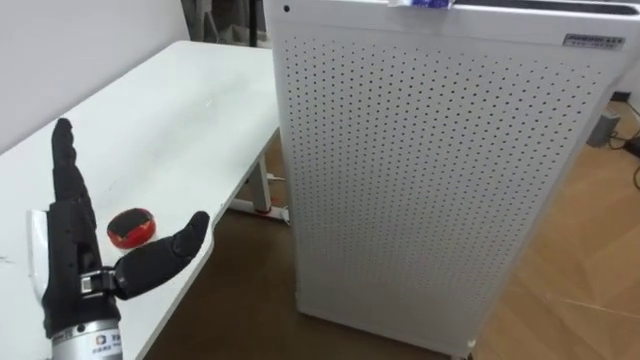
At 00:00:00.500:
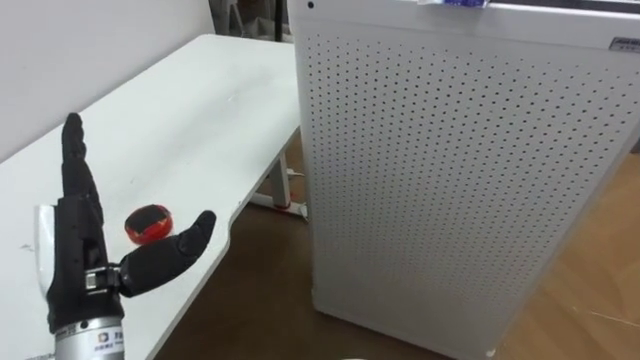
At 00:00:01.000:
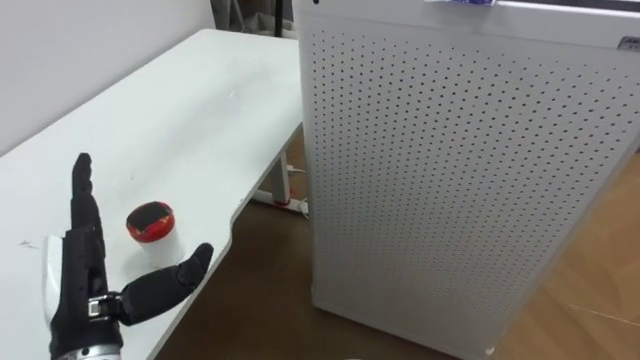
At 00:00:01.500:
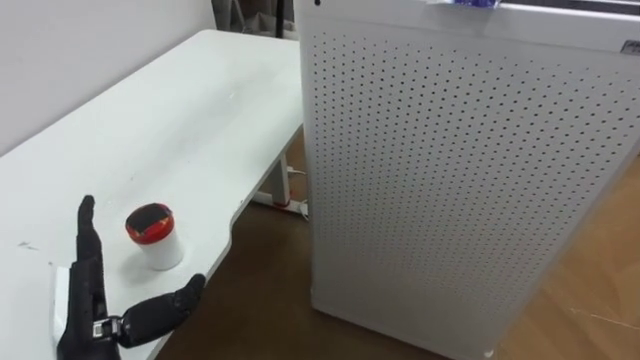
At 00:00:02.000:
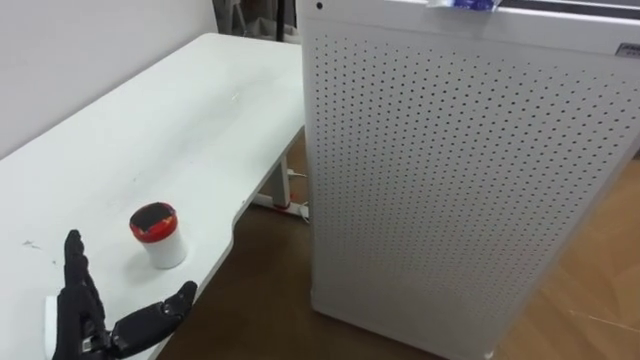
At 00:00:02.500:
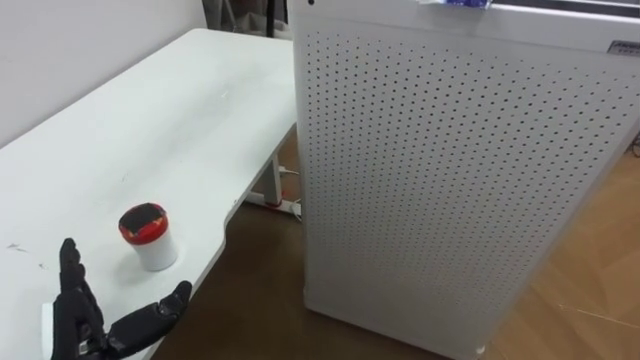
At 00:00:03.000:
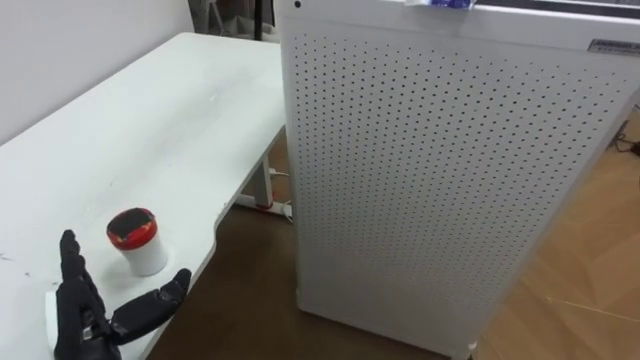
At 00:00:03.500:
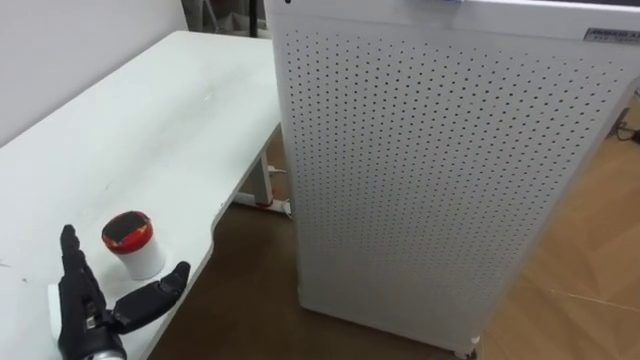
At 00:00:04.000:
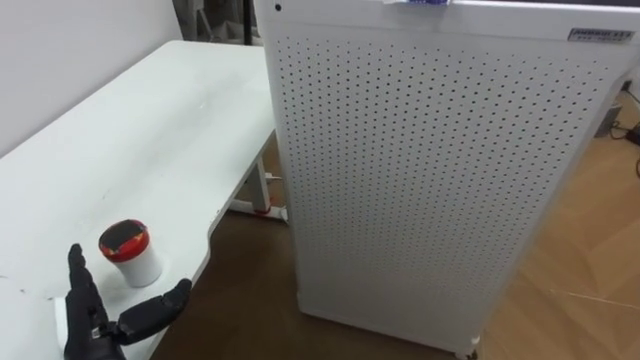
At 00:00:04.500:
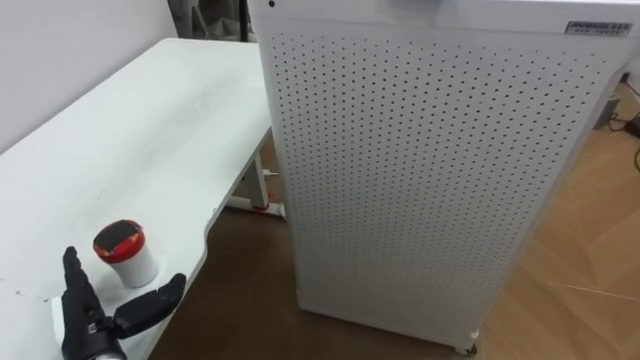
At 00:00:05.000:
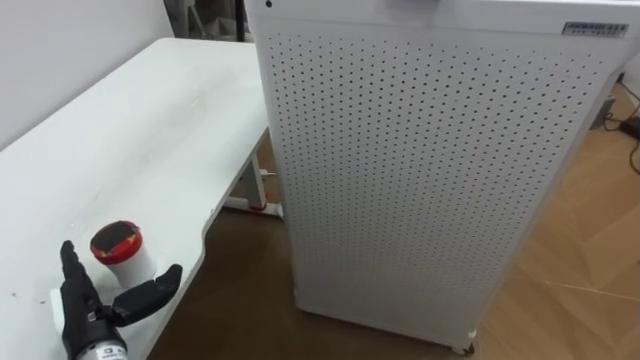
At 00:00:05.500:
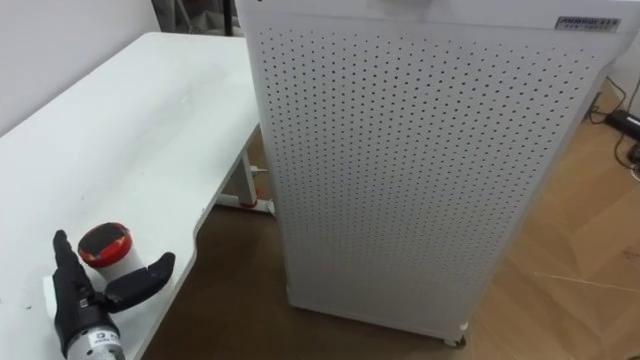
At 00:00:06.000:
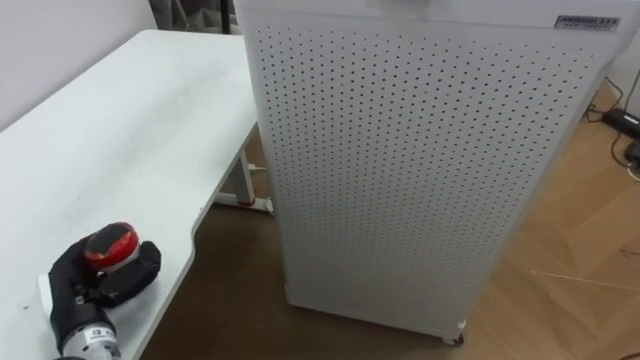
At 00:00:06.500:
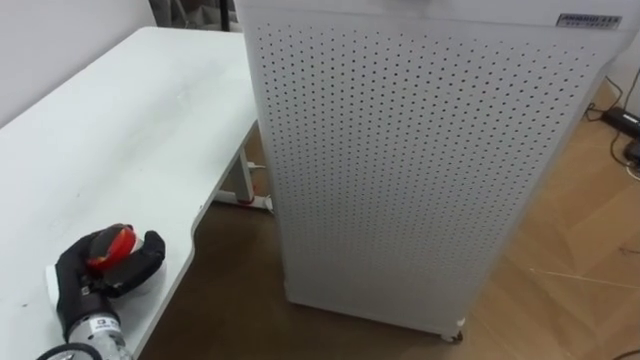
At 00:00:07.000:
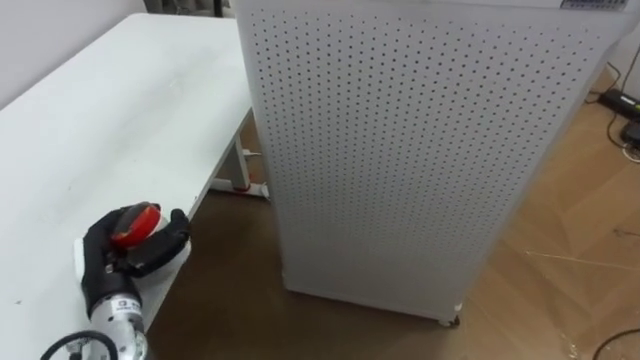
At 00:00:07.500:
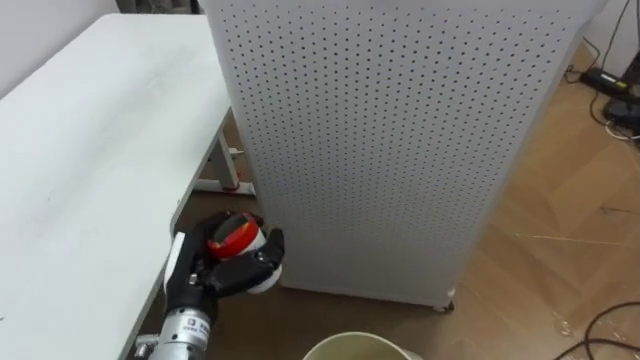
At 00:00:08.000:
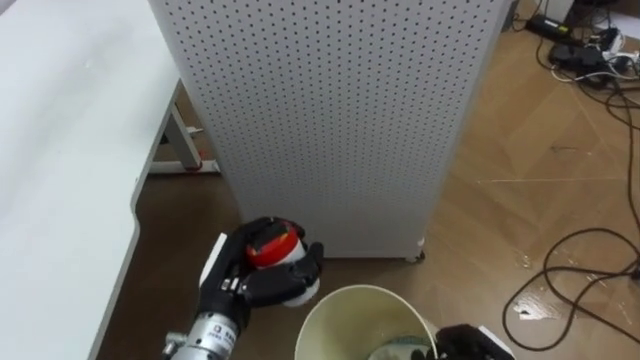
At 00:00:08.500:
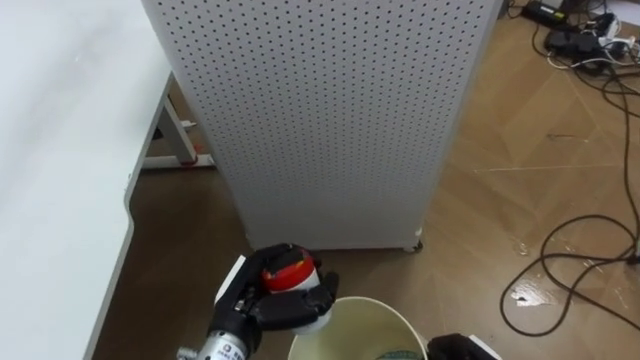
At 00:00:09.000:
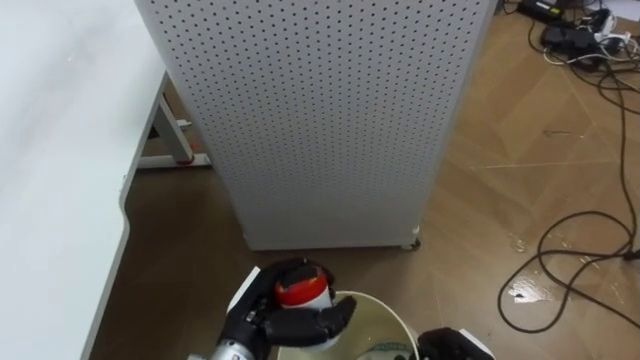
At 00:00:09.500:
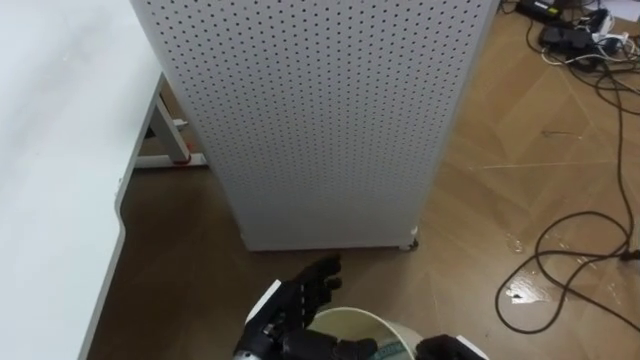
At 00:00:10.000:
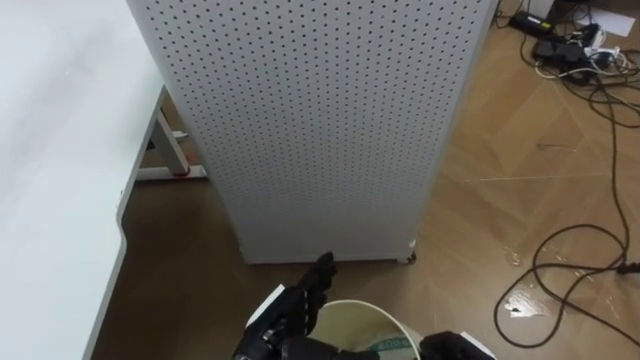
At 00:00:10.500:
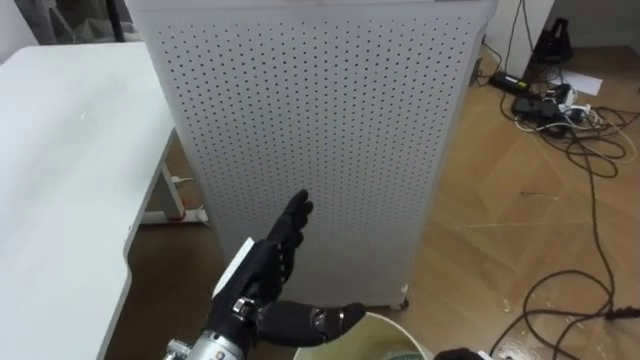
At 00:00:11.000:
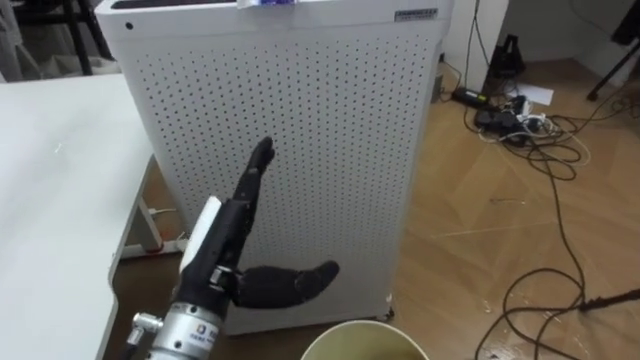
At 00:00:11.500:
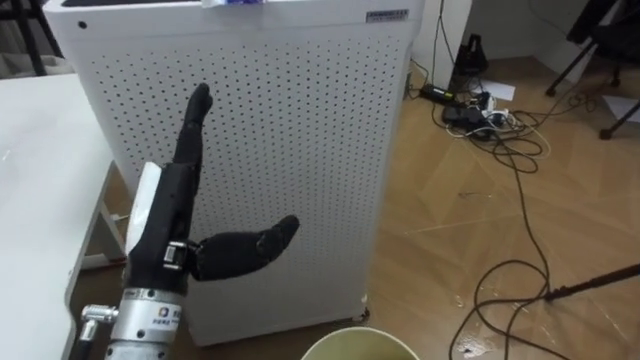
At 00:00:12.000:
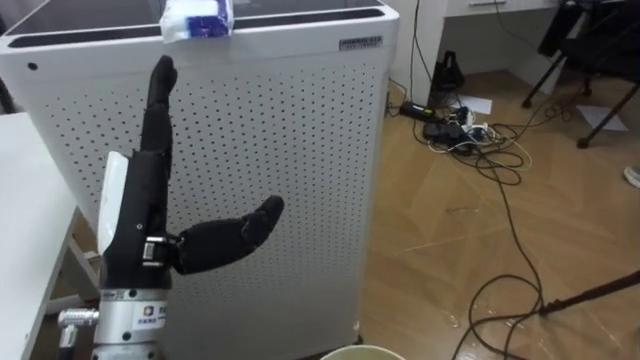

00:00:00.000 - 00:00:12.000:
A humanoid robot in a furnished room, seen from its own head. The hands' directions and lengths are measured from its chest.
Task of the whole recording: Pick up the light blue package, the candy box, and the dark blue package separately, and put them into the trash can held in your right hand.
00:00:00.000 - 00:00:02.000: The left hand travels downward by some 10 cm.
00:00:04.000 - 00:00:06.000: The left hand closes up.
00:00:06.000 - 00:00:08.000: The left hand goes some 20 cm to the right.
00:00:08.000 - 00:00:10.000: The left hand heads to the right and downward, covering some 10 cm, and opens up.
00:00:10.000 - 00:00:12.000: The robot rotates roughly 20 degrees to its right. The left hand goes approximately 25 cm upward and to the left.

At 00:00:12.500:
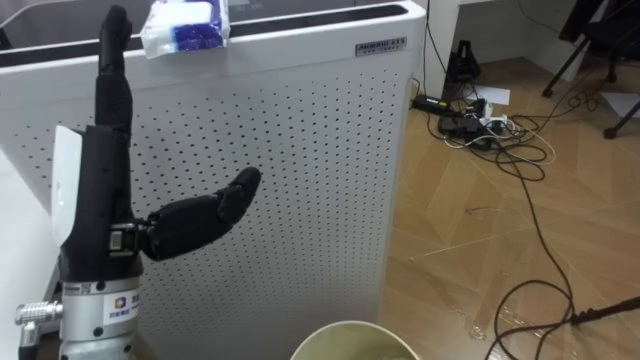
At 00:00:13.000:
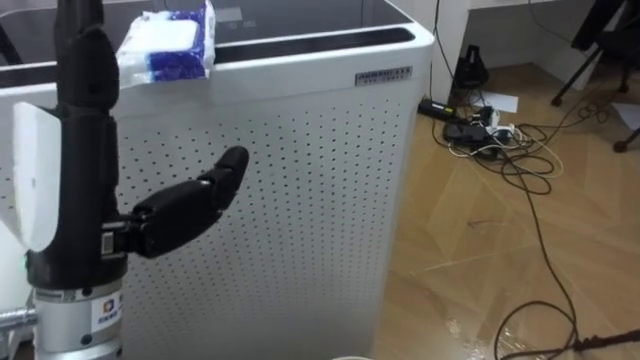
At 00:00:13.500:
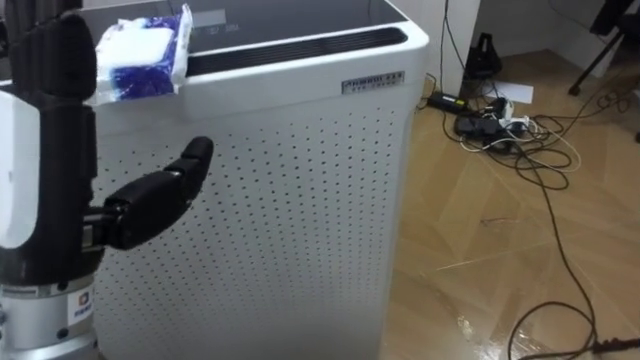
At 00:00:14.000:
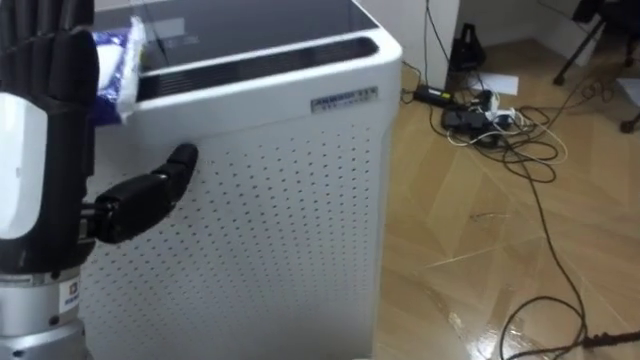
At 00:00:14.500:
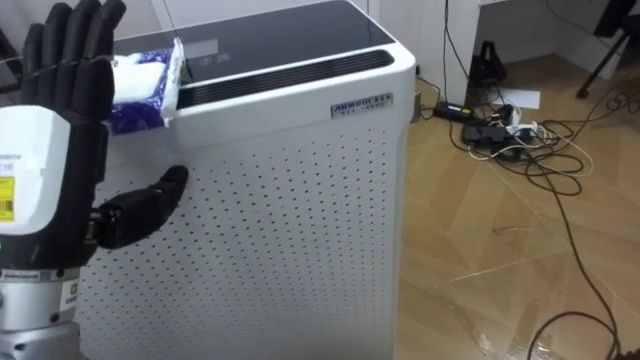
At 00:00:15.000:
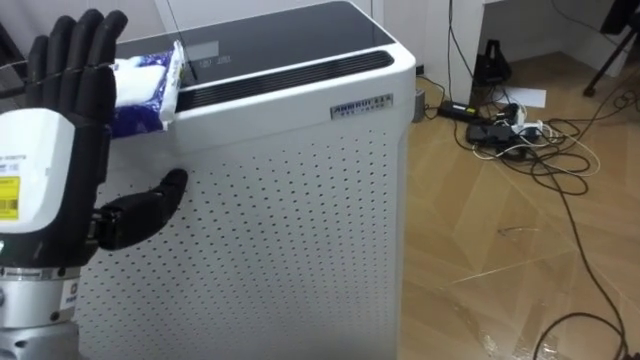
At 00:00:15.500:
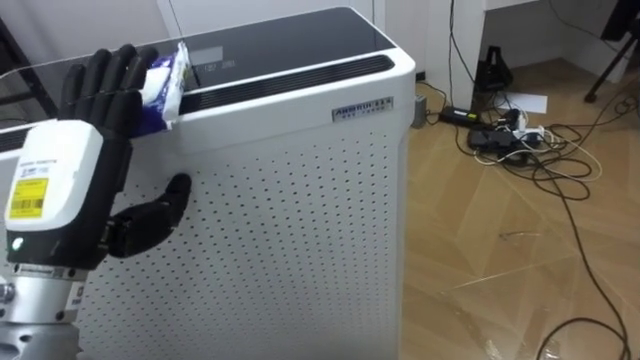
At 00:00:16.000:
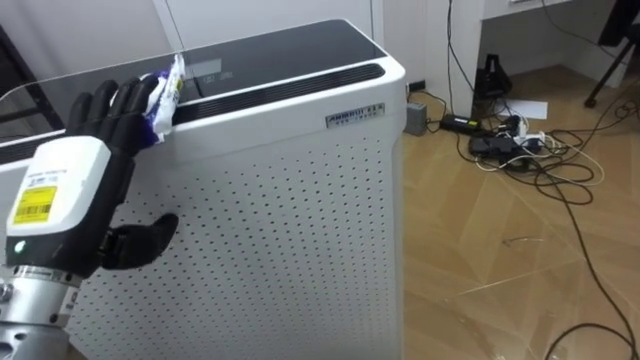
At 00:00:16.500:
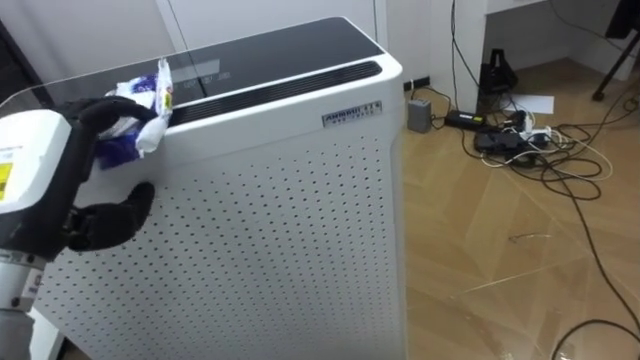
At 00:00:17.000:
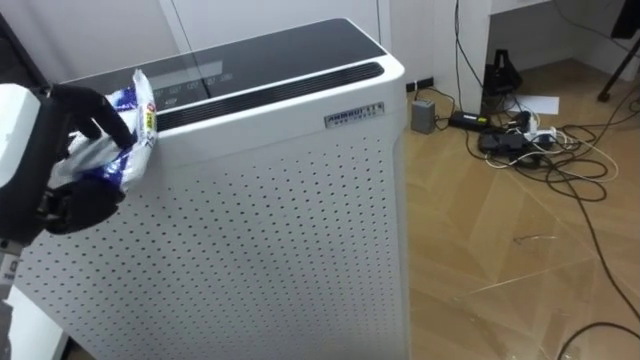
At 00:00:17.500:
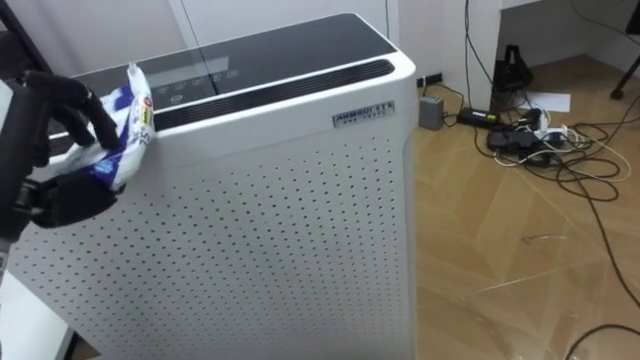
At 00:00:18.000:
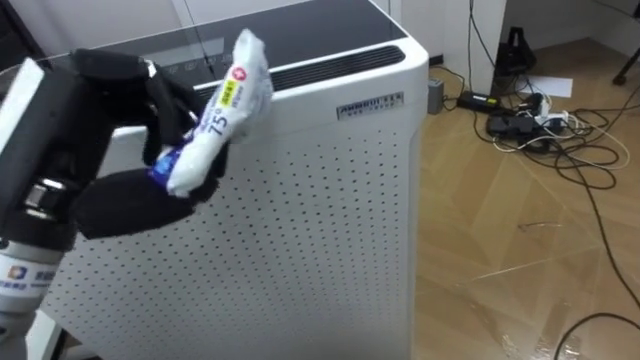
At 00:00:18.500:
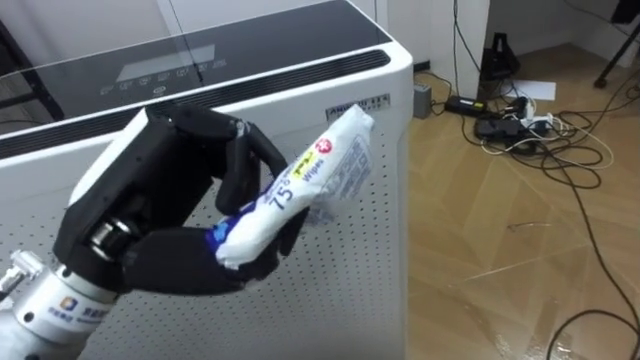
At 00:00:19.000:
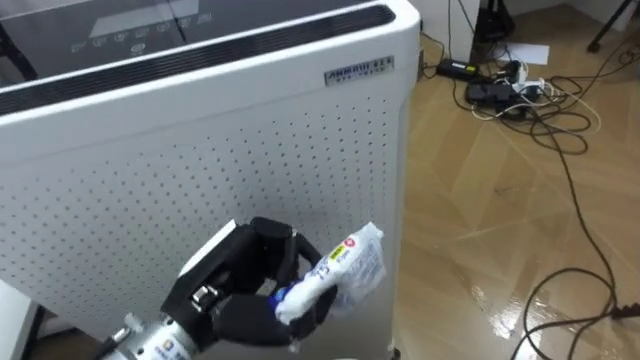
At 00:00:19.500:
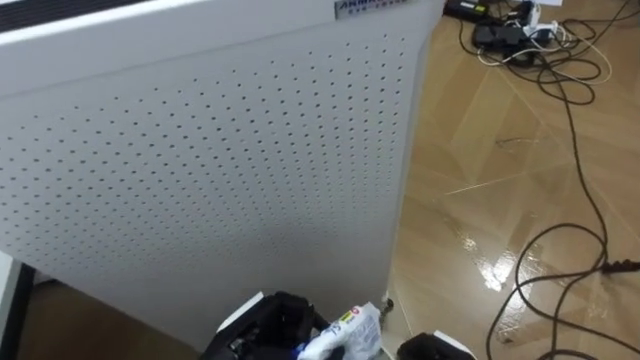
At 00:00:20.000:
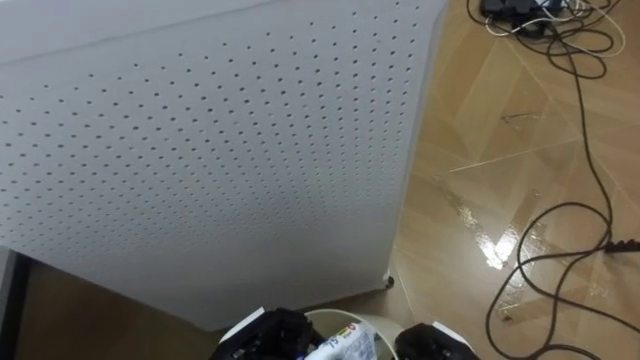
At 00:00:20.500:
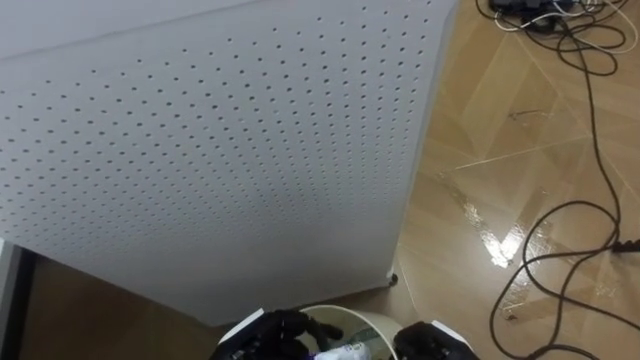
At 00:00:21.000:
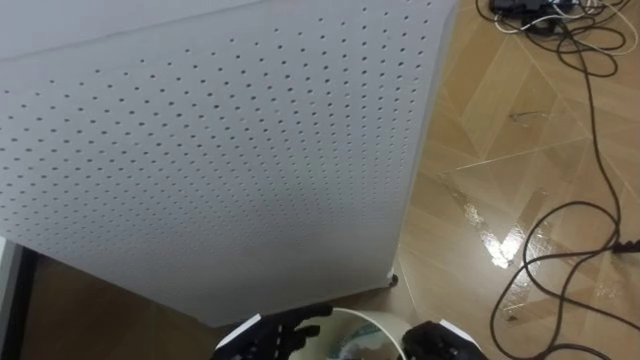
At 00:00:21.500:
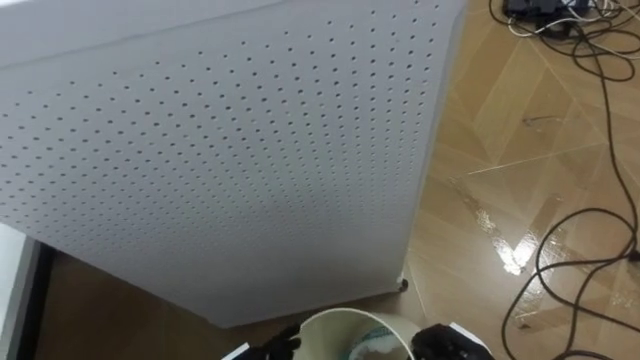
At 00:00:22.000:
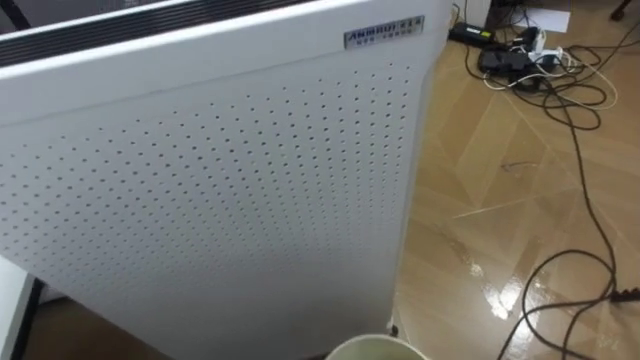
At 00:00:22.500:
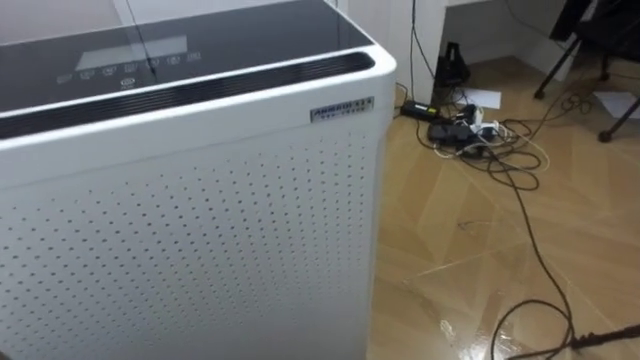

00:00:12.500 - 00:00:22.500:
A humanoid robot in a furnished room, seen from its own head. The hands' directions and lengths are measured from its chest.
Task of the whole recording: Pick up the light blue package, the candy box, and the dark blue package separately, and put them into the trash can held in your right hand.
00:00:18.500 - 00:00:20.500: The left hand heads downward, covering some 30 cm.
